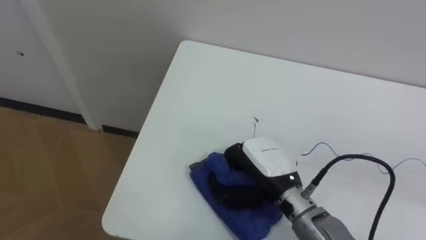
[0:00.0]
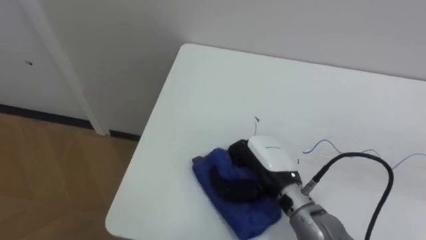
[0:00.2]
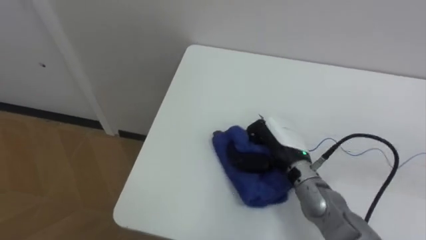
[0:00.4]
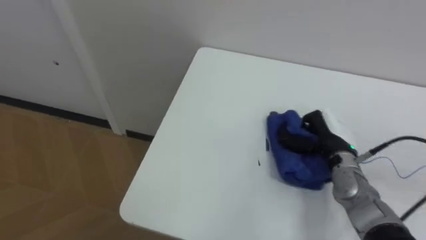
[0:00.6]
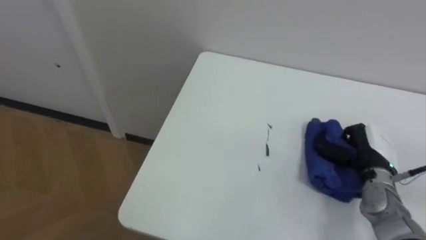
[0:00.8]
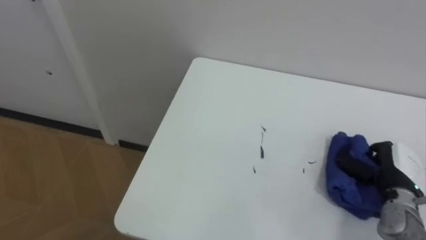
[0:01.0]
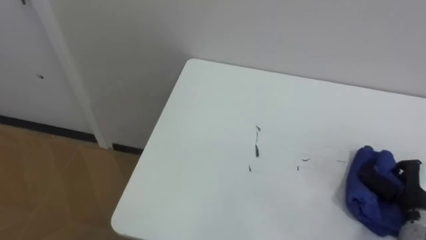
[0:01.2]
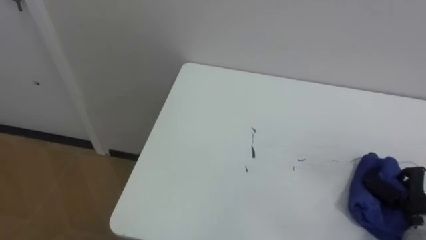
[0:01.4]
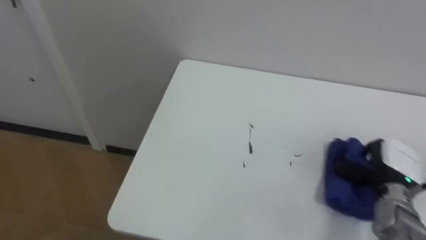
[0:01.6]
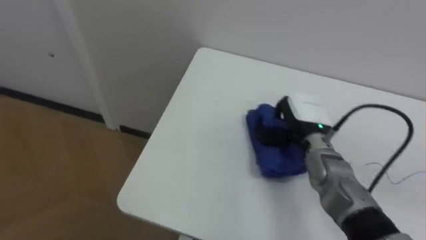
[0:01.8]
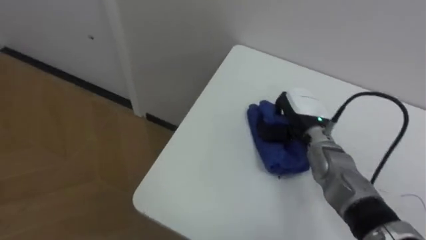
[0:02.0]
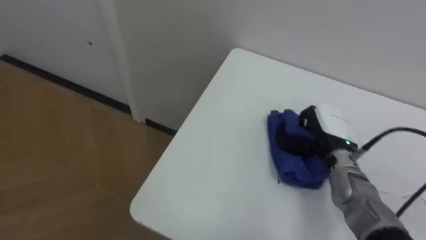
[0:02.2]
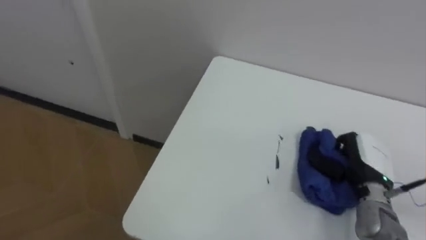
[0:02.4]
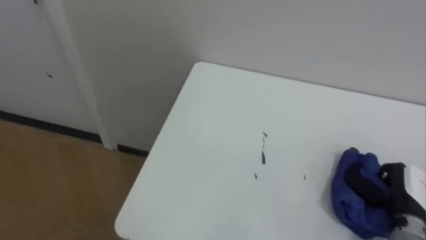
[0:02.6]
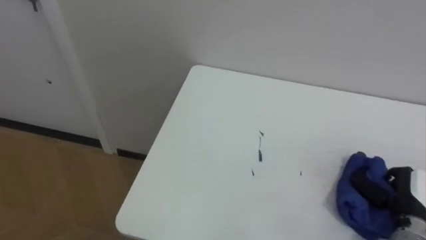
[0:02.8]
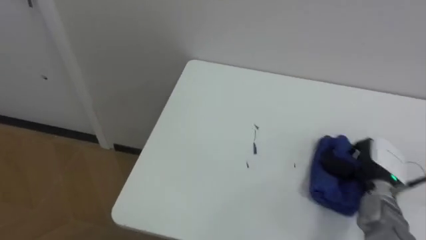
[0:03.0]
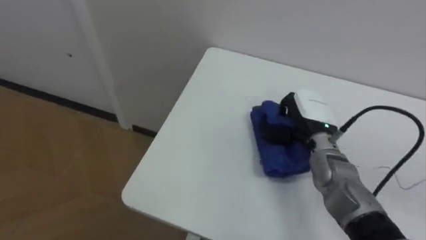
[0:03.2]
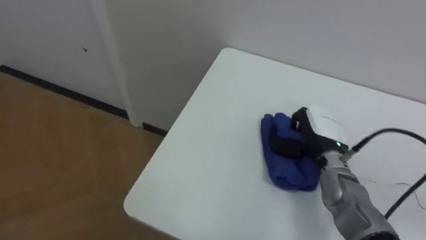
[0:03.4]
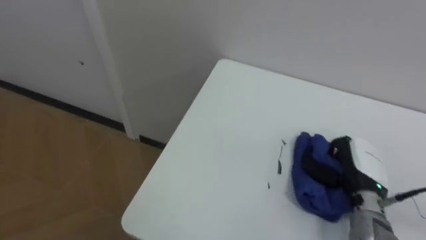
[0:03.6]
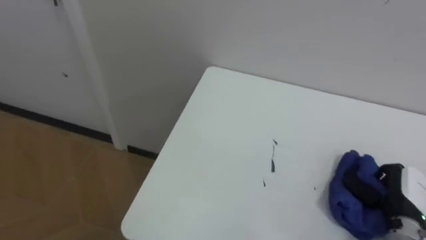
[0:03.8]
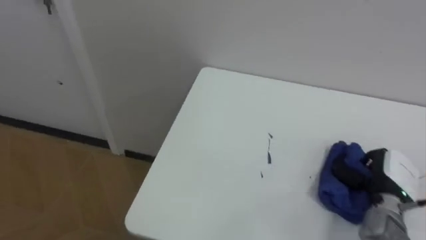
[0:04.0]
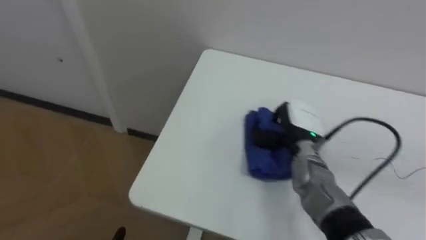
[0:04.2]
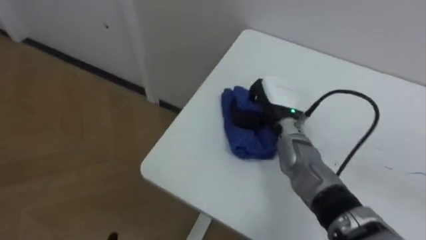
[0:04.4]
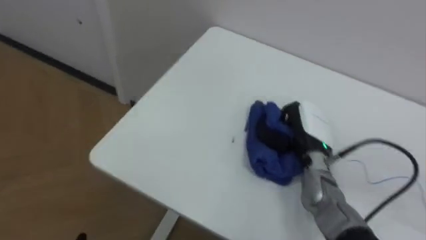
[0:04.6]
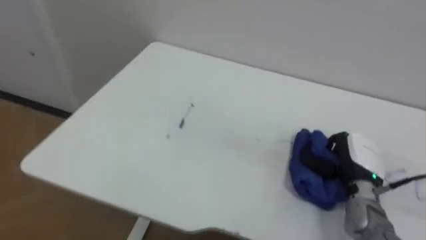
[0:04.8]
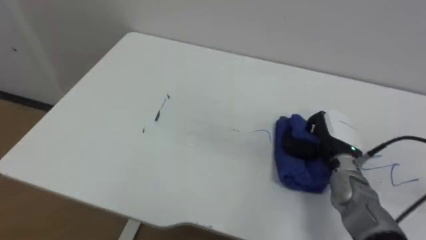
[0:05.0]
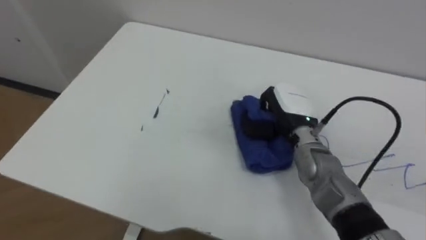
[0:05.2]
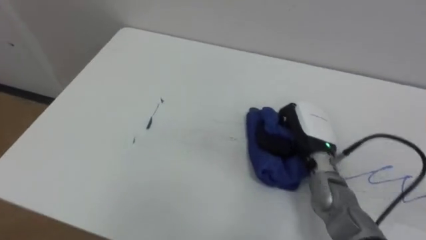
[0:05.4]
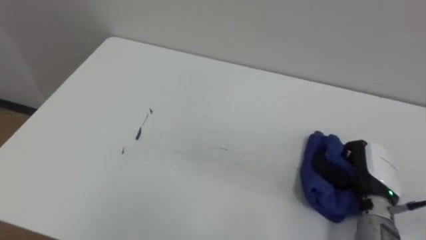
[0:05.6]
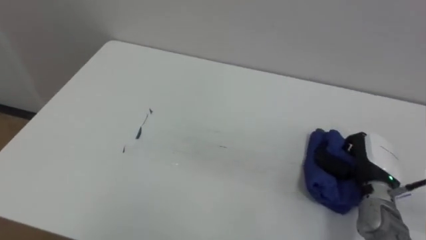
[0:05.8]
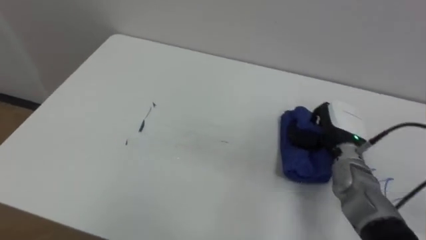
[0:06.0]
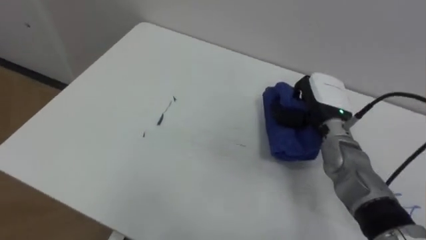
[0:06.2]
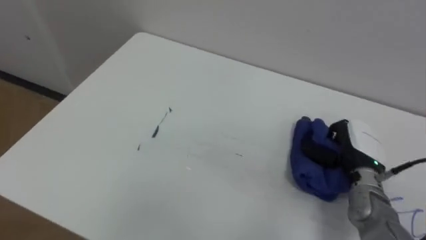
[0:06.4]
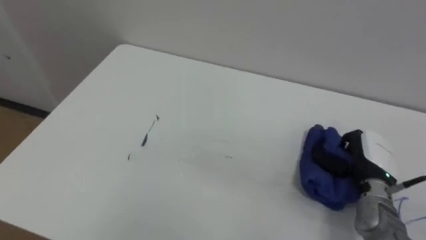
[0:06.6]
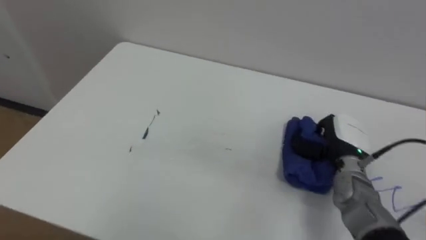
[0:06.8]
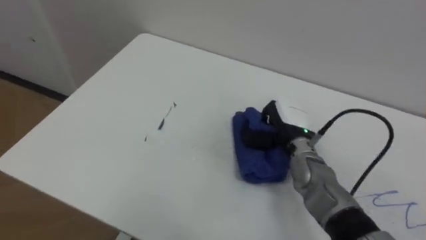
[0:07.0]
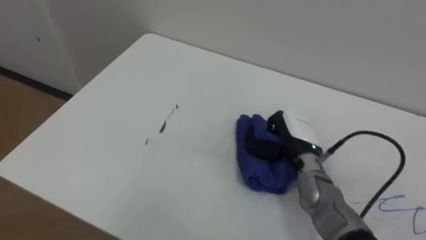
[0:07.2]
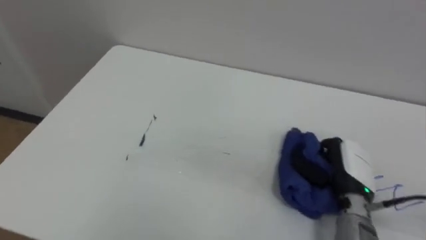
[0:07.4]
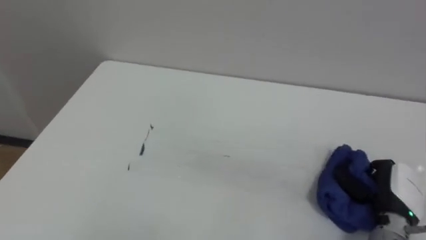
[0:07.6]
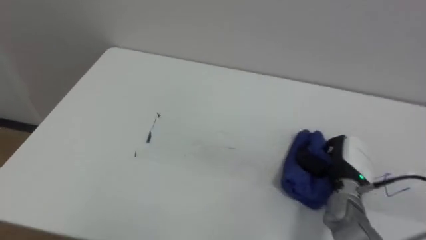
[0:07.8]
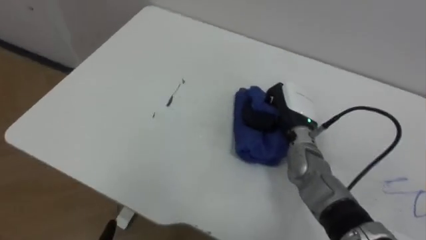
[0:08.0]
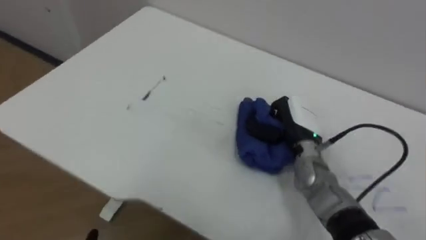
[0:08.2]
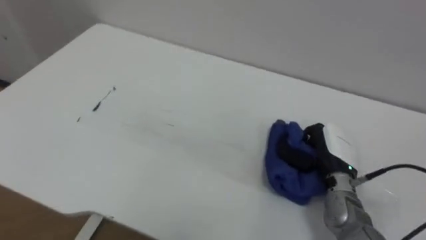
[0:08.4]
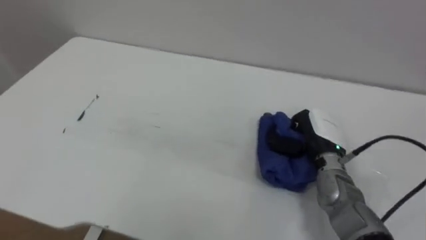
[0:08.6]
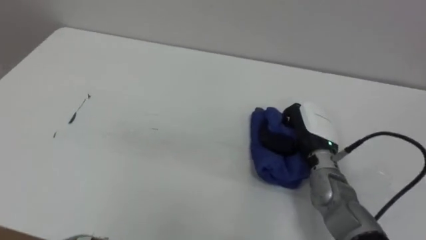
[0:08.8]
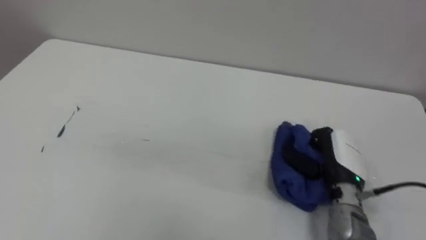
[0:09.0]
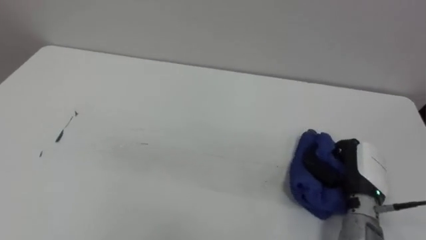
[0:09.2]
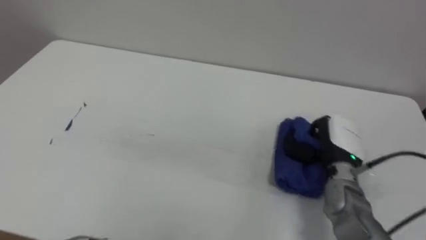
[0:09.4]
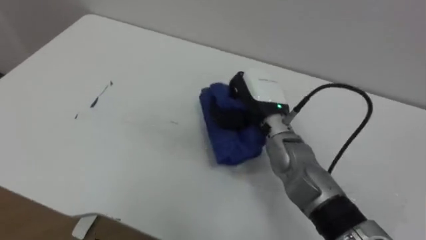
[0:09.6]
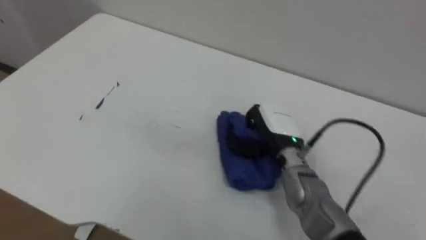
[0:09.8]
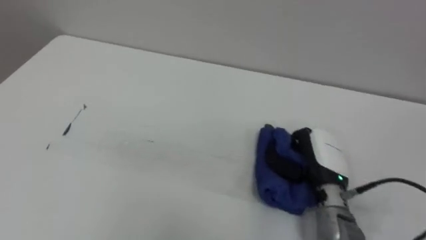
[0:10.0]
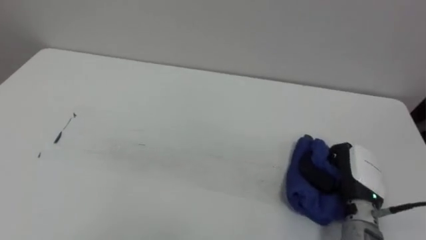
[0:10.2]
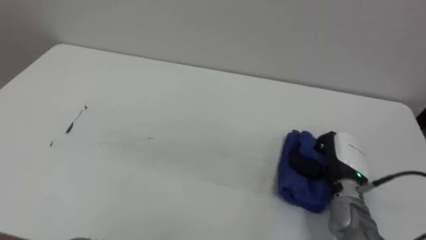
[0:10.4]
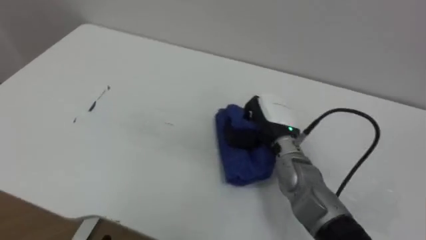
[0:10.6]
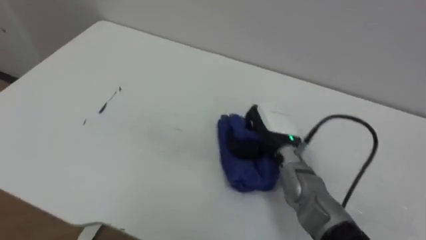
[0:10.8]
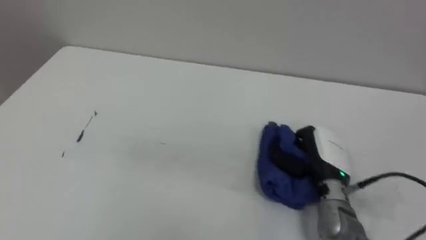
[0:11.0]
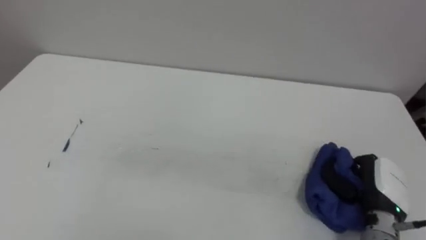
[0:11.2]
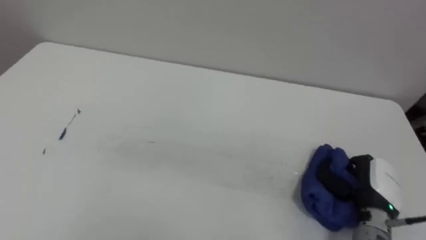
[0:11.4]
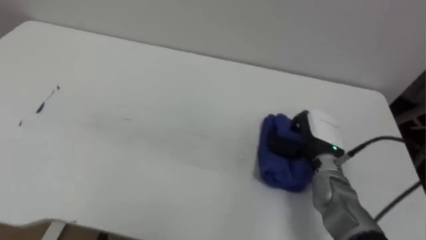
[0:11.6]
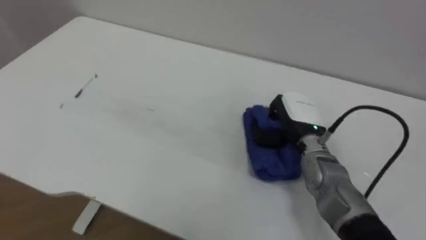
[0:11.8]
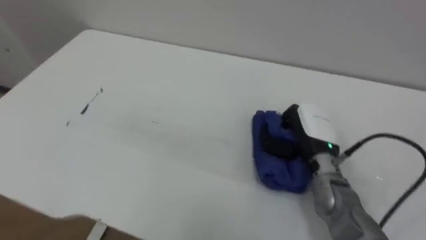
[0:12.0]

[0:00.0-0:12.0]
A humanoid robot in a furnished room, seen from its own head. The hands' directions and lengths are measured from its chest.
Task of the whole recording: Wipe the blue pen marks off the table with the rag.
0.0 to 1.6 s: The right hand goes about 25 cm to the right.
1.6 to 3.0 s: The right hand goes left and right, some 20 cm each way, reversing 2 times.
3.0 to 4.4 s: The right hand moves left and right over some 25 cm, changing direction 2 times.
4.4 to 6.0 s: The right hand moves left and right over some 20 cm, changing direction 3 times.
6.0 to 7.6 s: The right hand goes left and right, about 20 cm each way, reversing 3 times.
7.6 to 9.0 s: The right hand travels to the left and forward by approximately 10 cm.
9.0 to 10.4 s: The right hand moves left and right over some 20 cm, changing direction 2 times.
10.4 to 12.0 s: The right hand moves left and right over some 20 cm, changing direction 2 times.

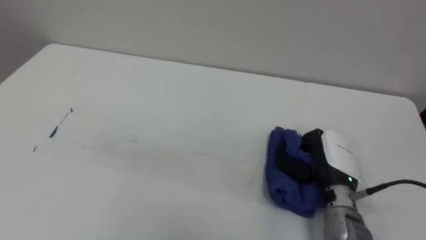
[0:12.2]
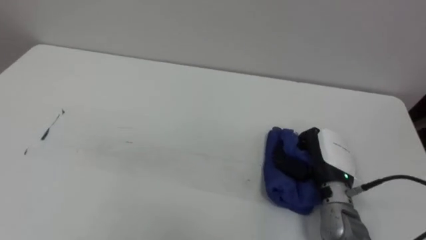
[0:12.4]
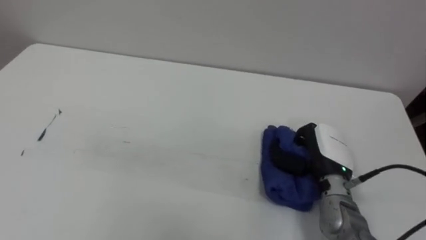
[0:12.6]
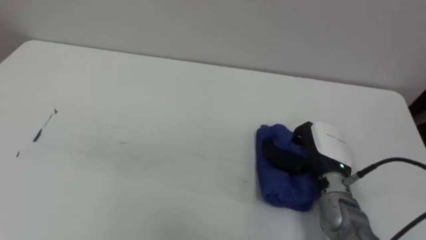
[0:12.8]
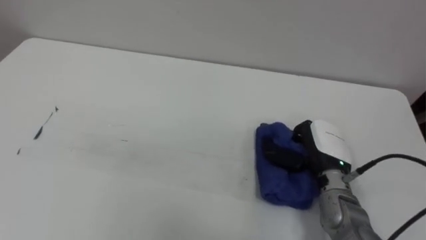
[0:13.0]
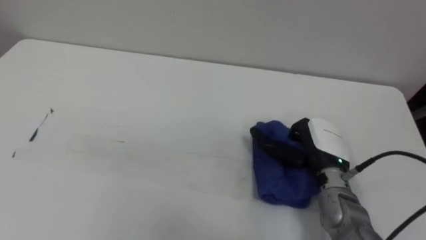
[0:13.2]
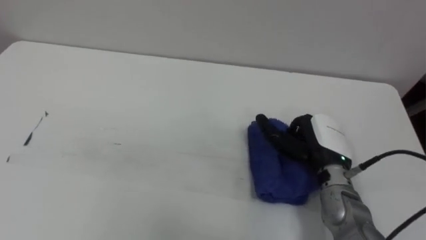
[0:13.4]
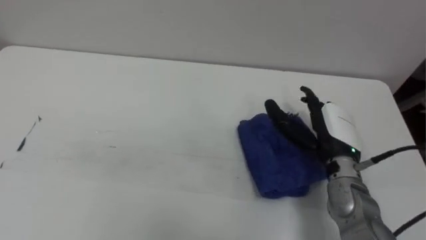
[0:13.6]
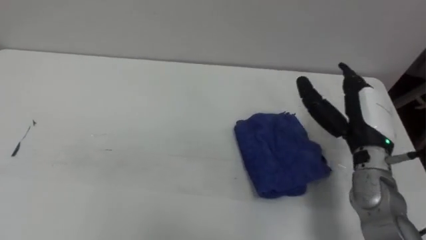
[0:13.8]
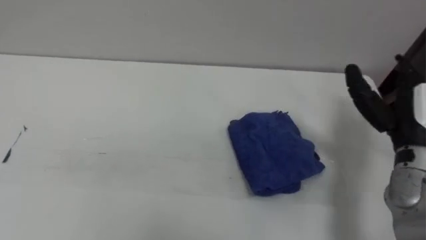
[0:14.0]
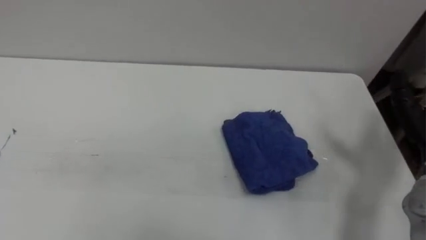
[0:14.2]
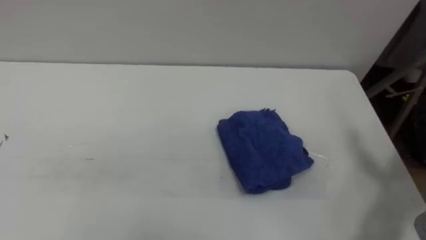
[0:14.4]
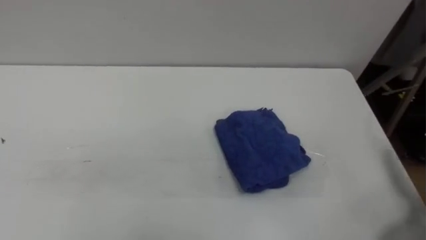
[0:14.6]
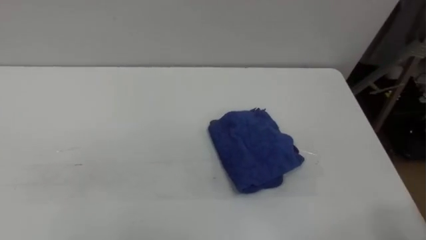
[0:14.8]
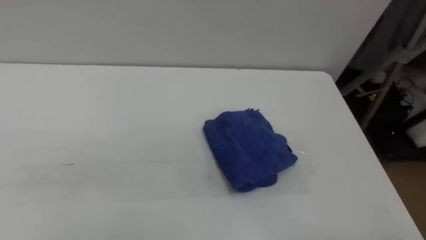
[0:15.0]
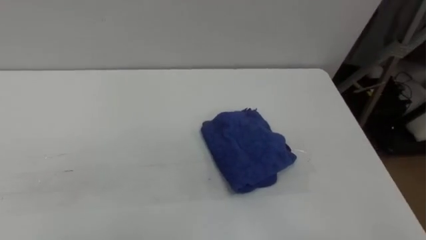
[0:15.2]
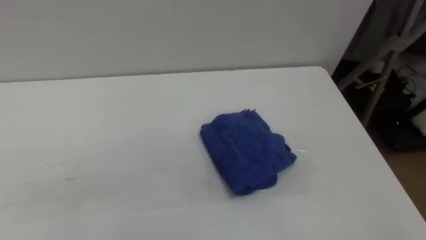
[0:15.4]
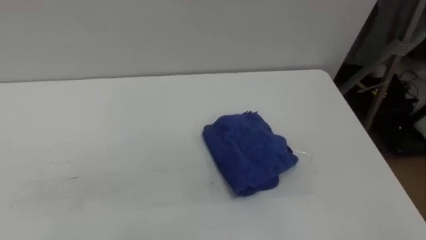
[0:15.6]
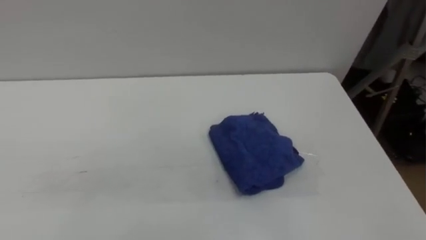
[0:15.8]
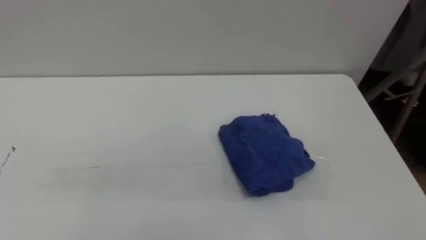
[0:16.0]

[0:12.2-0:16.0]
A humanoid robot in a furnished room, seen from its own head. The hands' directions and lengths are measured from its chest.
Task of the whole recording: Wipe the blue pen marks off the table with the rag.
12.2 to 13.4 s: The right hand opens its fingers.

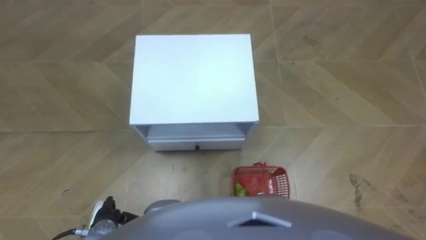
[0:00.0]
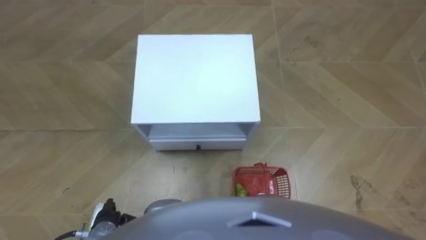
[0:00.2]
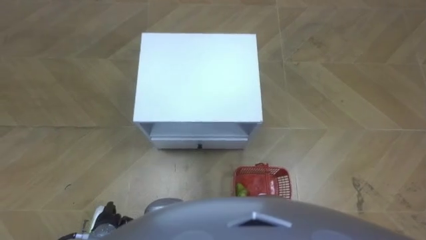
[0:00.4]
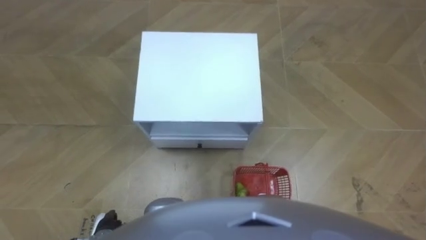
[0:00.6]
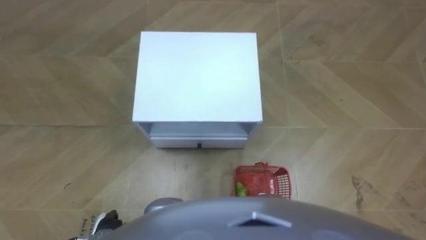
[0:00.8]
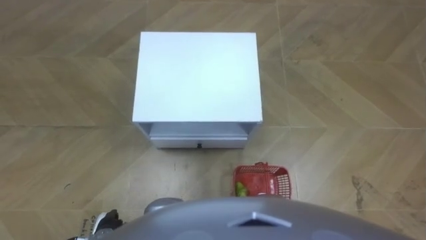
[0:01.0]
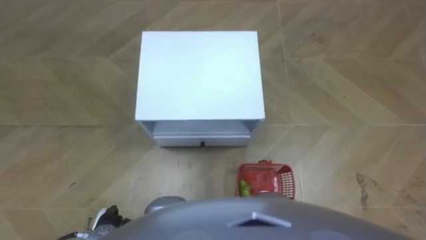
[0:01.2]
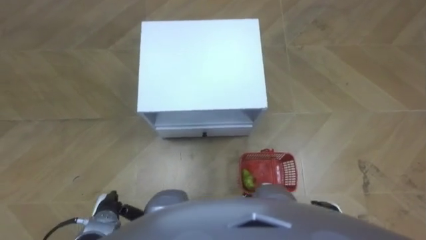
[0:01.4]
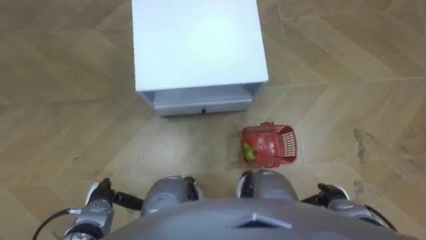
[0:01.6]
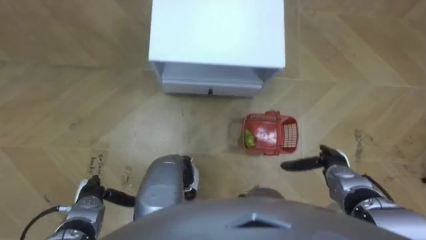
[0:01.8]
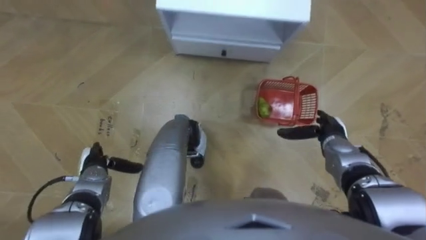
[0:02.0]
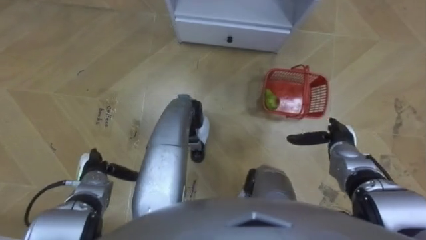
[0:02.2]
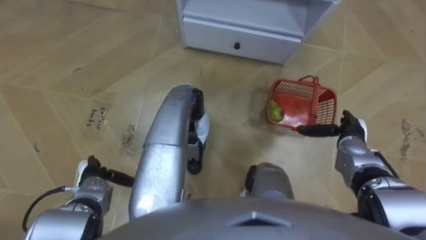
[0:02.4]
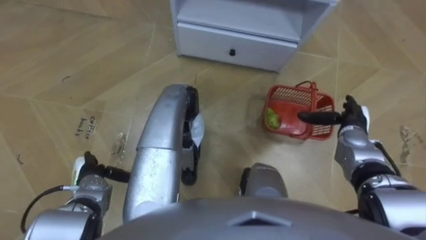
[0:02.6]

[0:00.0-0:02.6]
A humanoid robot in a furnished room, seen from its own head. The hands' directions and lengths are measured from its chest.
Task of the whole recording: Pick up the fruit basket from the floor and place it on the cabinet.
1.2 to 2.6 s: The right hand is displaced forward by about 25 cm, while the left hand is displaced forward by roughly 10 cm.
